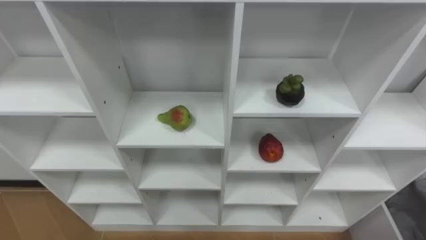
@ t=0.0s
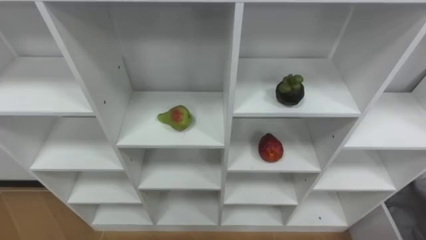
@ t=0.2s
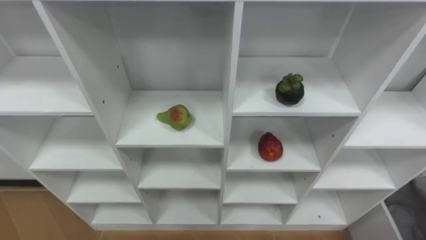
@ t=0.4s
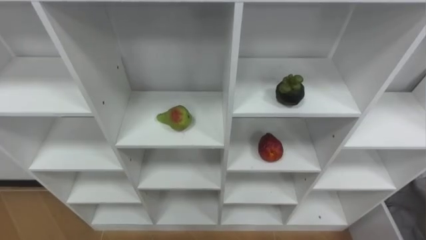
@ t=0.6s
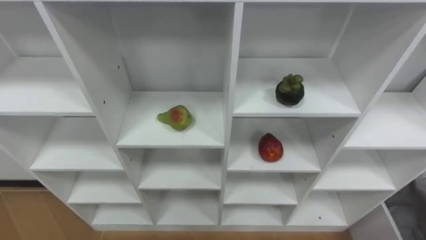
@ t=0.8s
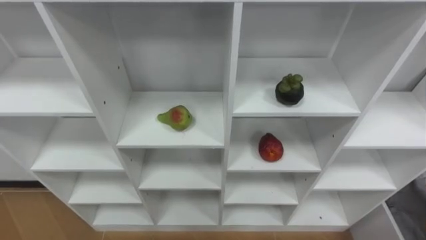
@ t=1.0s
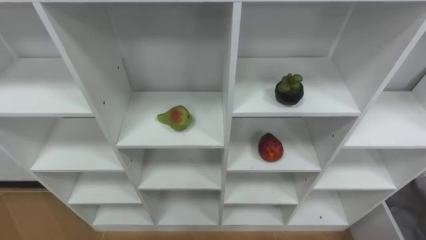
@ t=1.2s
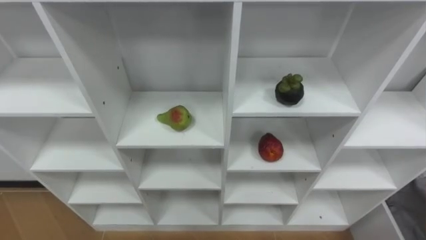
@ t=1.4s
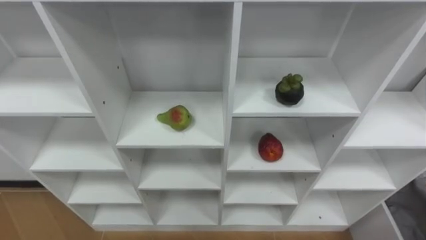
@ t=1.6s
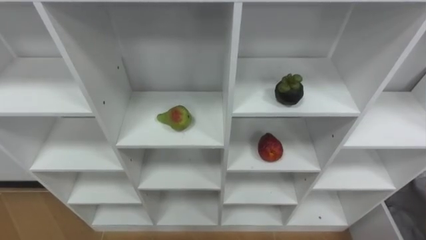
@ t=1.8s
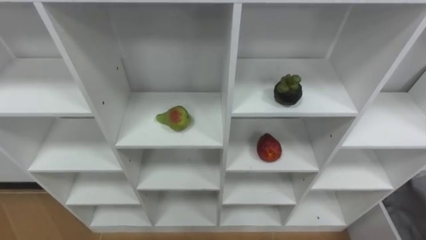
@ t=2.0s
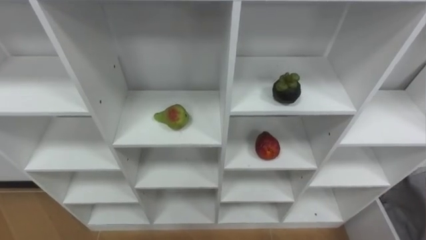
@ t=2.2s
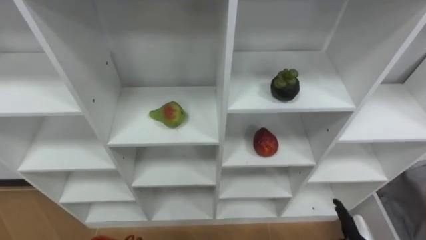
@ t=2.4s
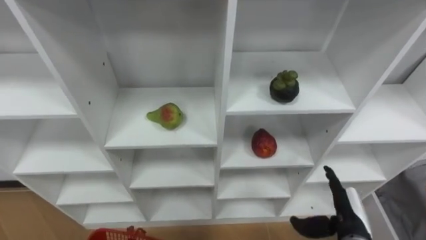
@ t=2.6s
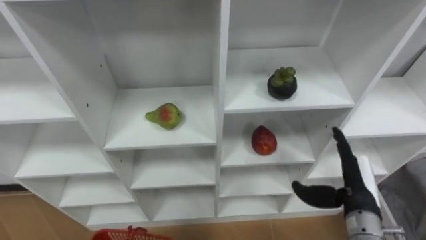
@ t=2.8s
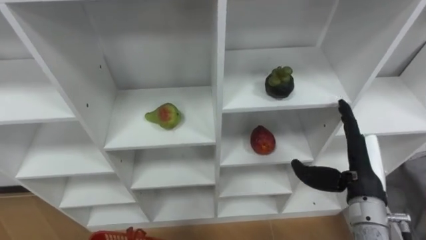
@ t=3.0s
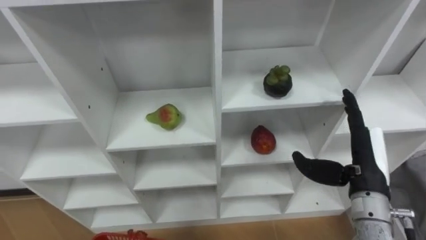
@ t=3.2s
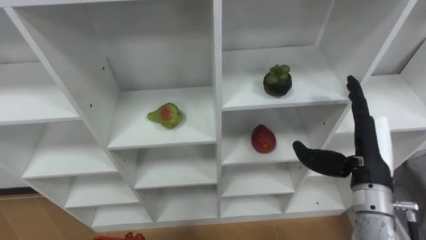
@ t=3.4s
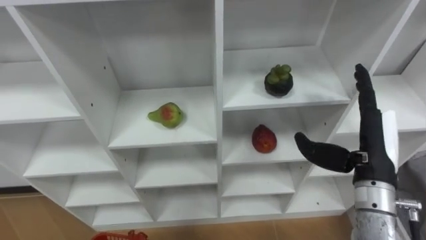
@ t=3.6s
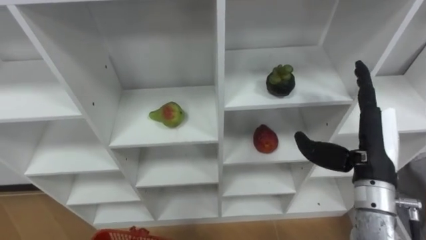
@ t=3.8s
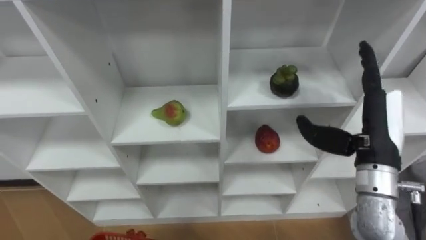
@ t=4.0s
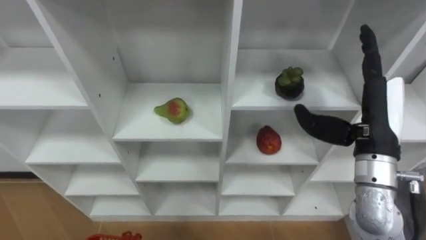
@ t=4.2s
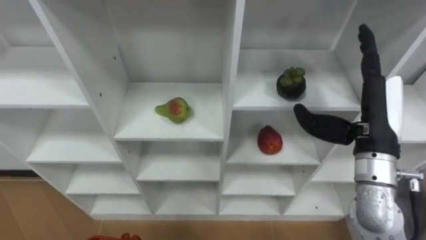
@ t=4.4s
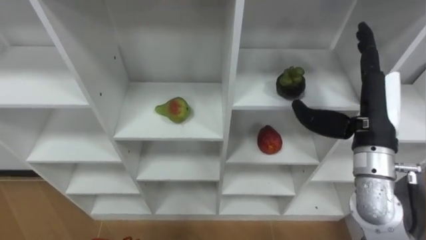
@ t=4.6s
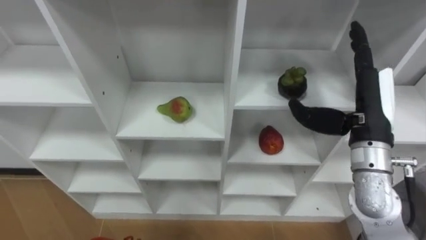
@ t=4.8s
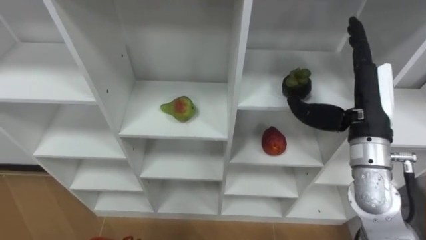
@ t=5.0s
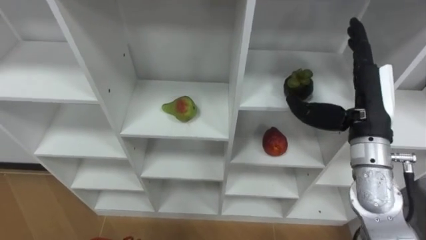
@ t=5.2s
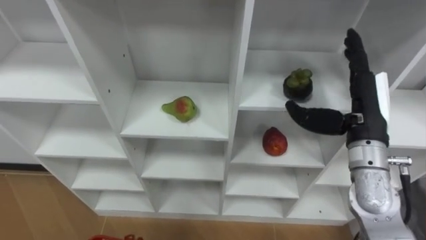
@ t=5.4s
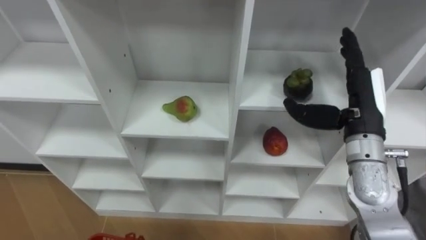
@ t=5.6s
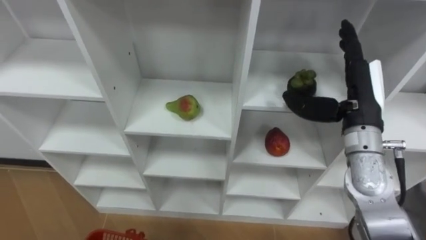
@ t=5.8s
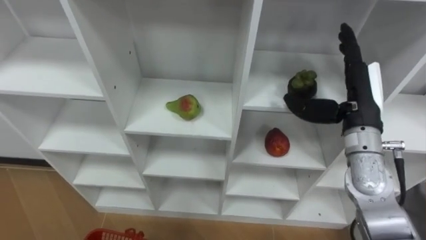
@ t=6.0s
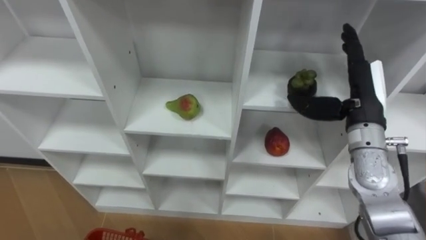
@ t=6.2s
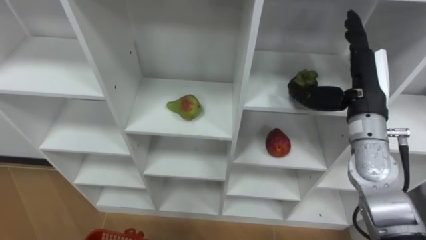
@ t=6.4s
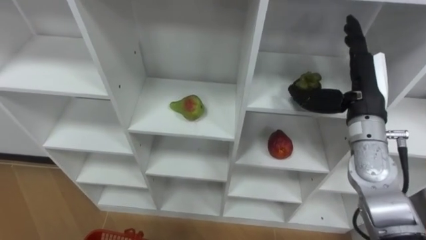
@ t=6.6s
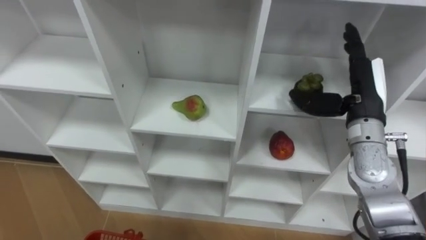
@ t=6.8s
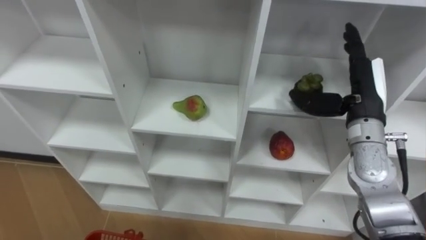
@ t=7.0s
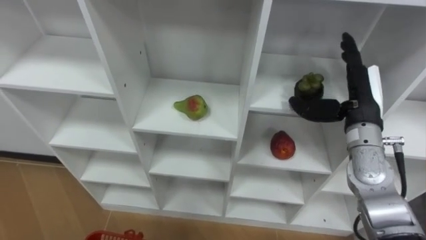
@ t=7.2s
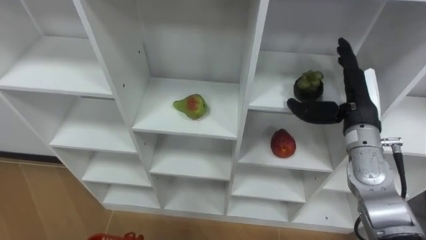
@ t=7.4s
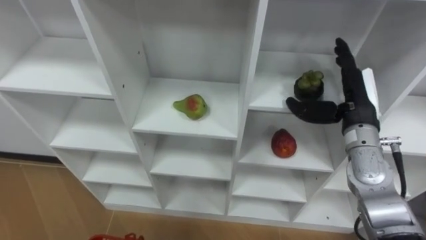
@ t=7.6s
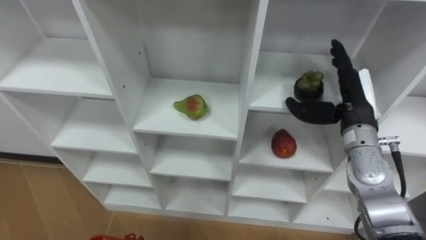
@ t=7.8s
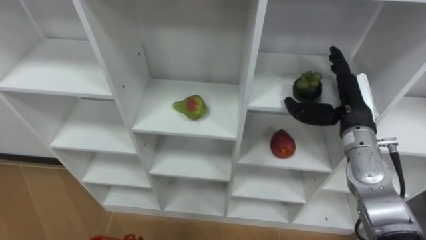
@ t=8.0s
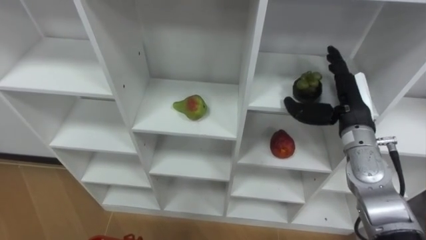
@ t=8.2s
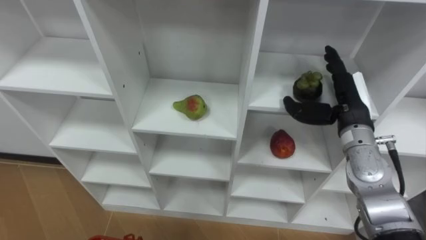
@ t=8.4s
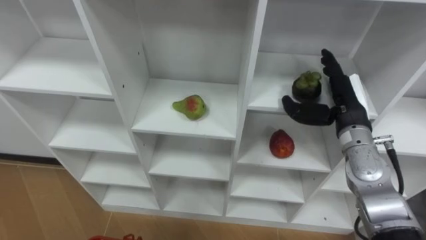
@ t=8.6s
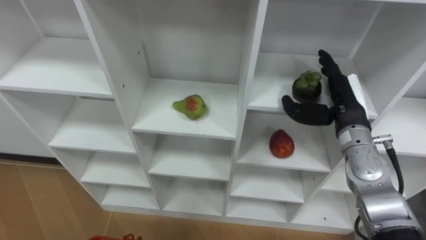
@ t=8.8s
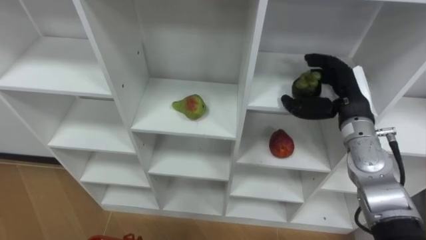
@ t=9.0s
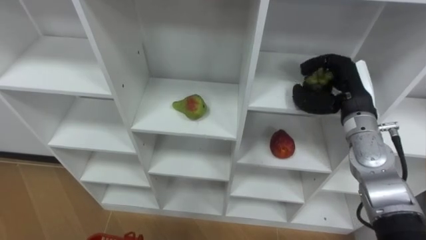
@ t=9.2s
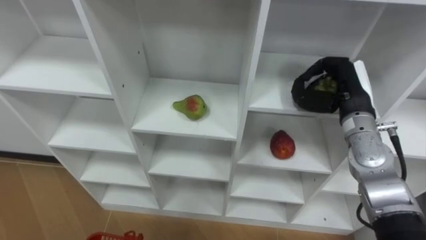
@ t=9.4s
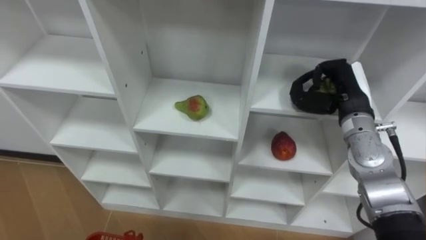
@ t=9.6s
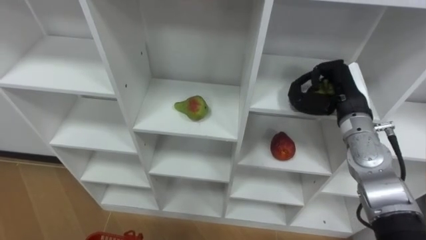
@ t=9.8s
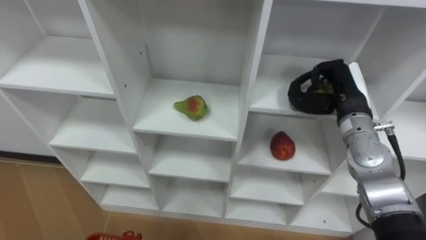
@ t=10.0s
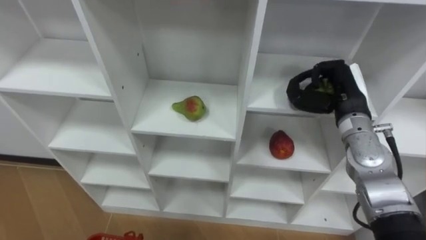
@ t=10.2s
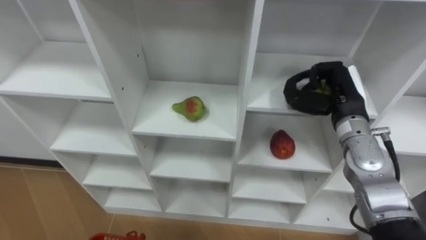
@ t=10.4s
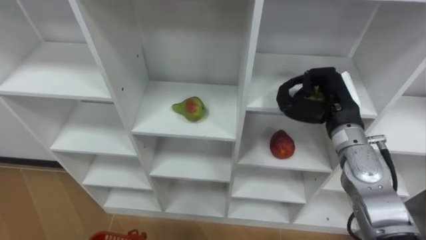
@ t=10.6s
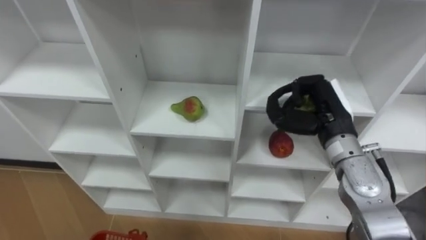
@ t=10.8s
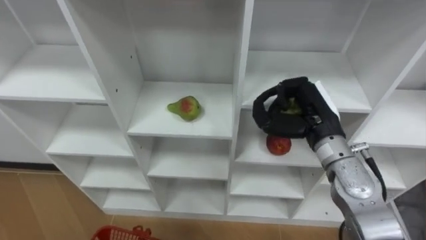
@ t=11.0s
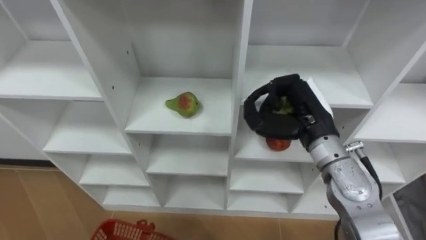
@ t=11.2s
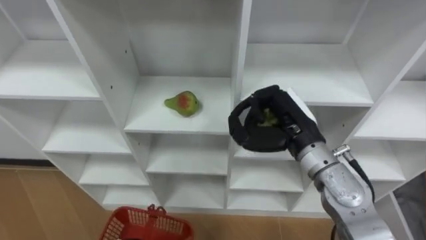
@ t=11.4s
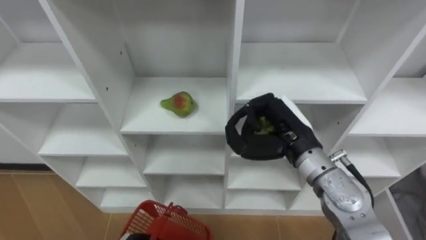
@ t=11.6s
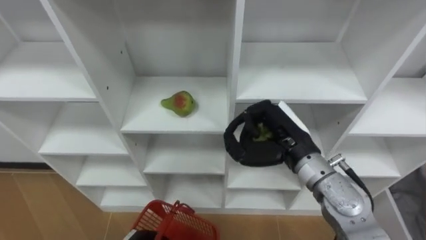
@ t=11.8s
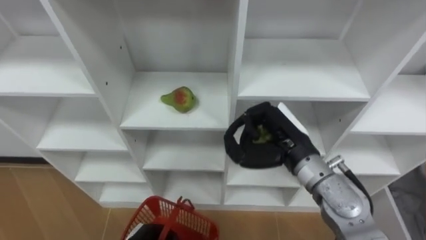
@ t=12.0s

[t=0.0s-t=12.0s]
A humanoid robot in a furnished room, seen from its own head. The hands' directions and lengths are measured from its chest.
Task of the whole recording: Hold the basket and collect the fruits from 3 different cells of the closet into it.
t=3.0s to t=4.4s: The right hand travels upward by roughly 10 cm.
t=4.4s to t=6.0s: The right hand is displaced forward by roughly 5 cm.
t=9.0s to t=10.4s: The right hand closes up.
t=10.4s to t=12.0s: The right hand travels to the left and backward by roughly 10 cm.

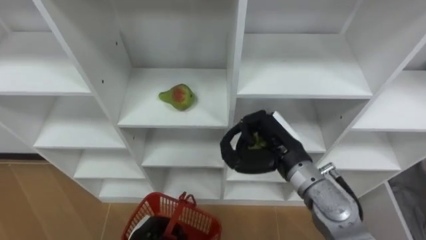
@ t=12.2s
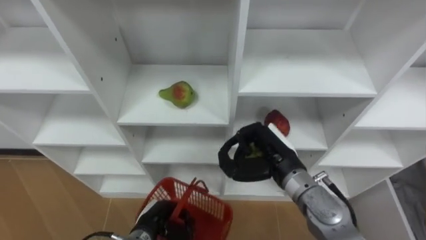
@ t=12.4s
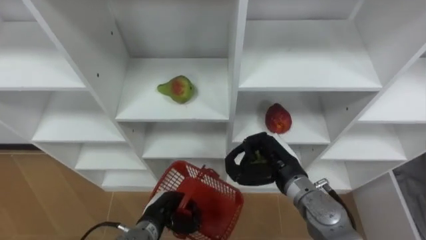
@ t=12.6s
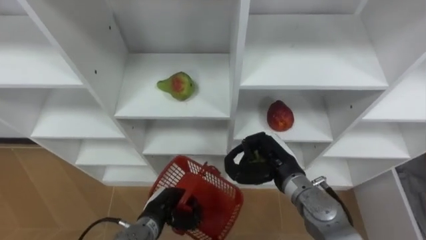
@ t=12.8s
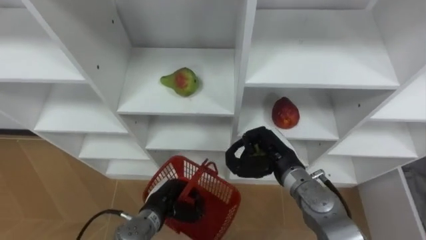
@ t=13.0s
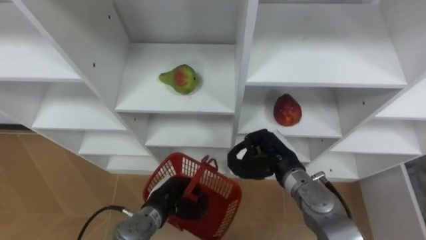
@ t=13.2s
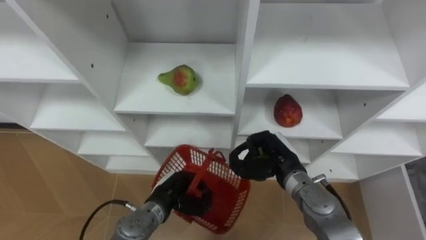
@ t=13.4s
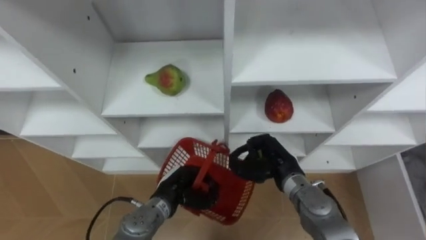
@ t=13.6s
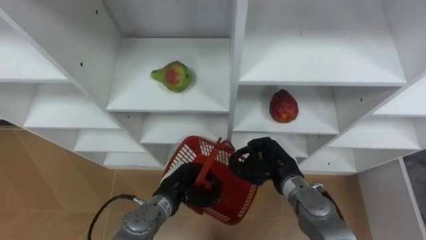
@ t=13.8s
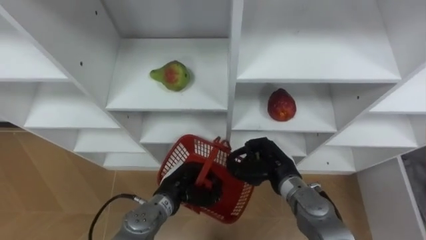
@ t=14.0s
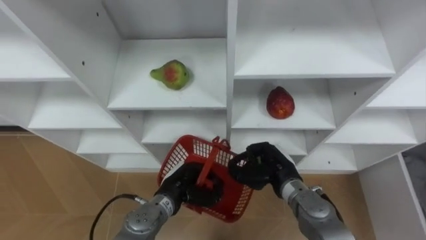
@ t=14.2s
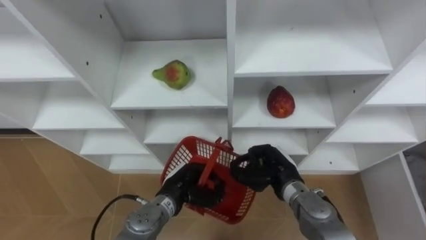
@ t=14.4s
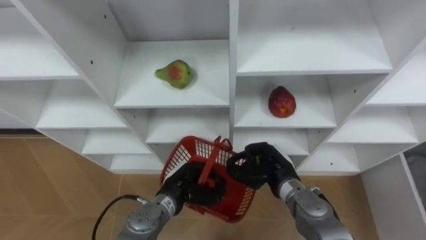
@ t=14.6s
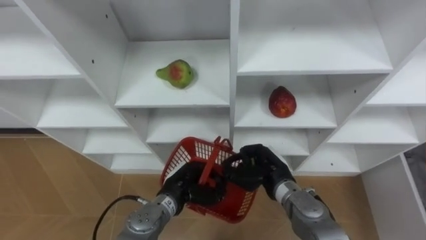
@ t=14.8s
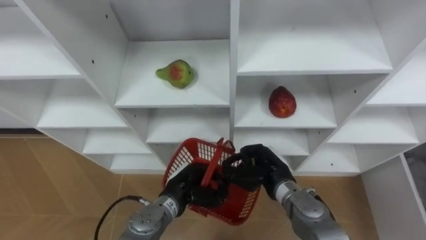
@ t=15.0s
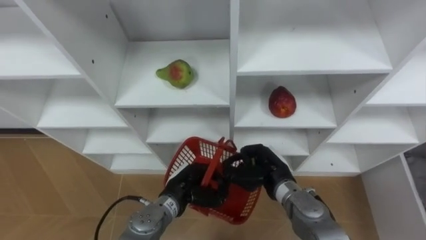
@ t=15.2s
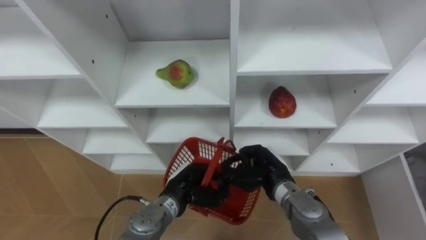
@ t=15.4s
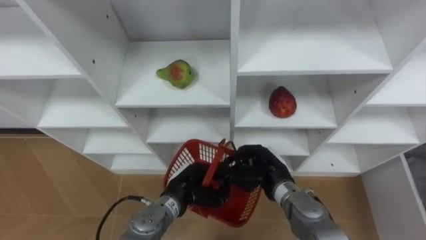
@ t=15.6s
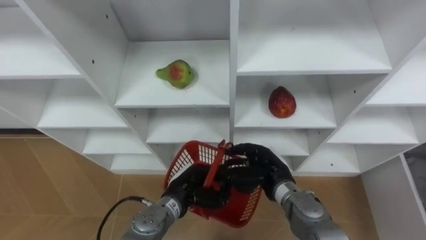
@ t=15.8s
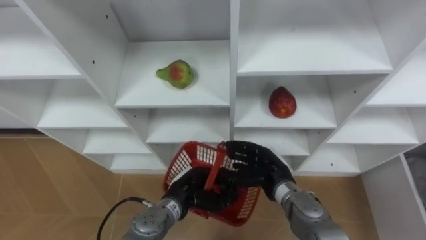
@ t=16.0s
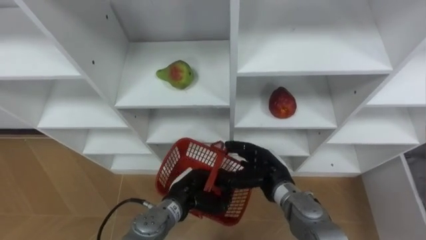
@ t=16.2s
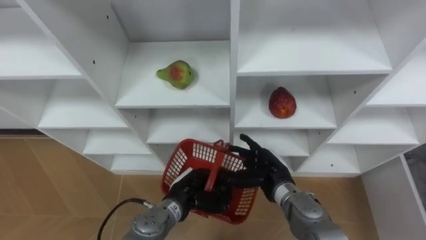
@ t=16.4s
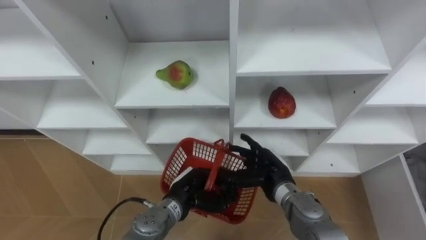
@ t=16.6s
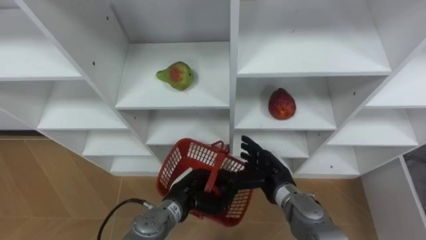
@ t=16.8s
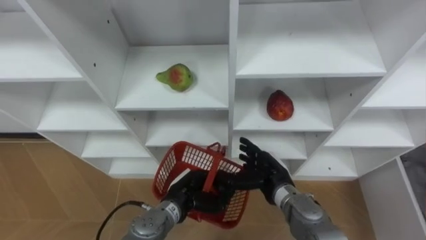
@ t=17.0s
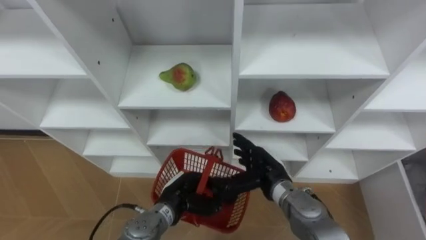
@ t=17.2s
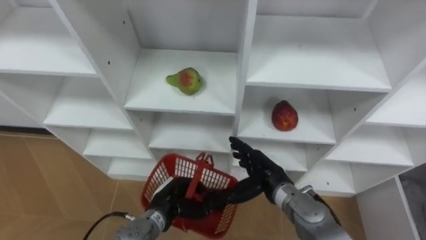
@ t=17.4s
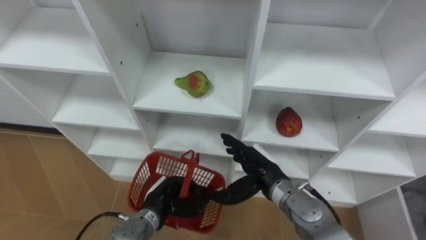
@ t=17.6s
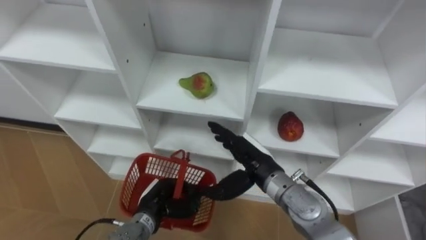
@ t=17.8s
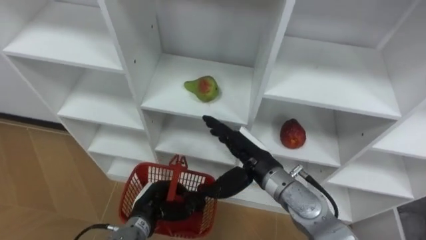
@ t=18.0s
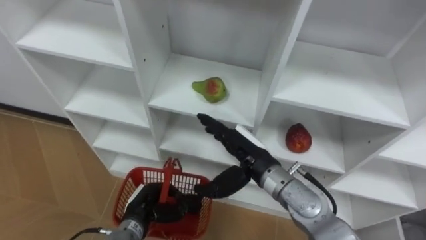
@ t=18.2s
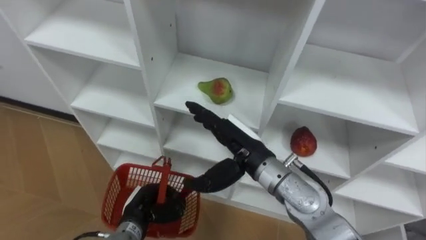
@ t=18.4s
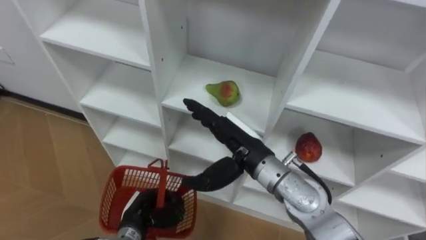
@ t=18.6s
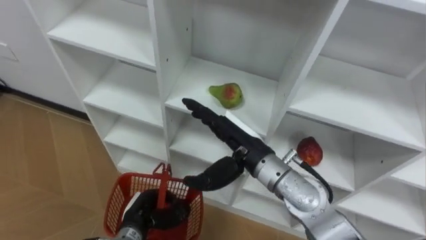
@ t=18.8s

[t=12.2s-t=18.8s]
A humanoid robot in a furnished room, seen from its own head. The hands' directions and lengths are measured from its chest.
Task of the whole recording: Hold the basket and collect the fruits from 3 different cells of the closet into it.
t=12.2s to t=13.8s: The right hand is displaced downward by approximately 10 cm; the left hand is displaced forward, upward and to the right by about 15 cm.
t=15.4s to t=17.2s: The right hand opens up.
t=17.2s to t=18.8s: The left hand travels to the left by some 10 cm. The right hand shifts roughly 15 cm upward and to the left.
